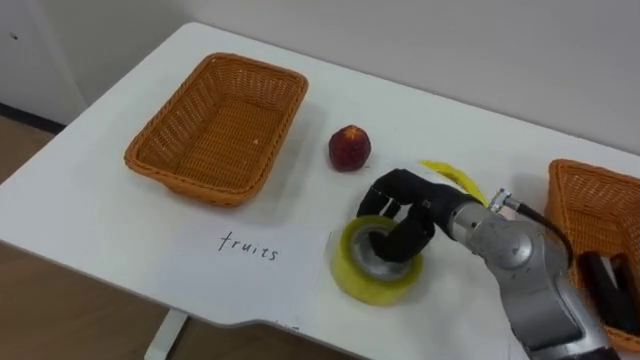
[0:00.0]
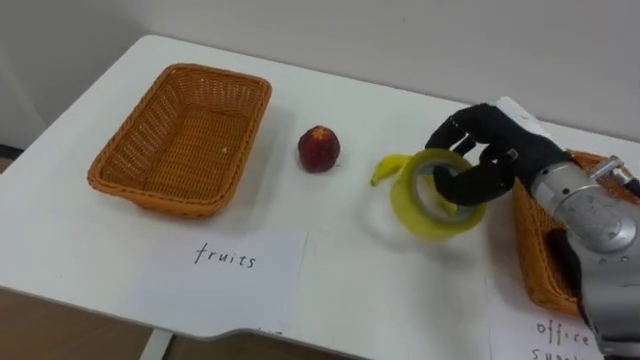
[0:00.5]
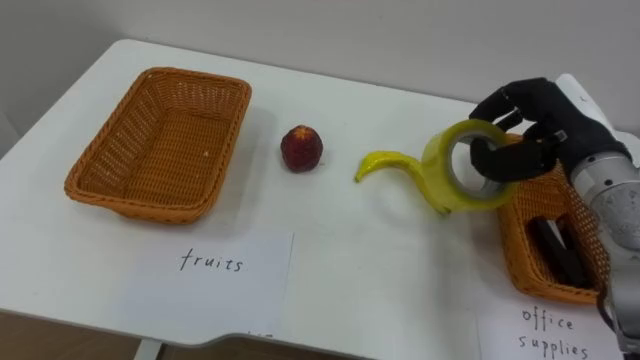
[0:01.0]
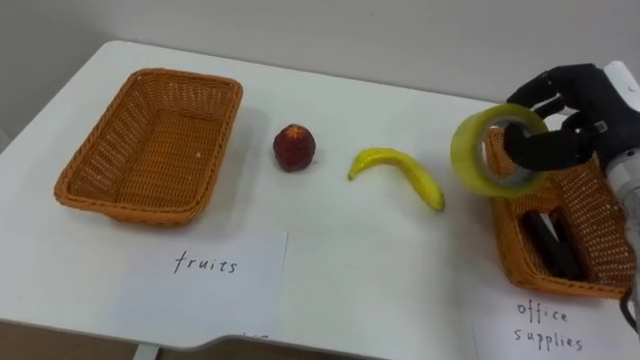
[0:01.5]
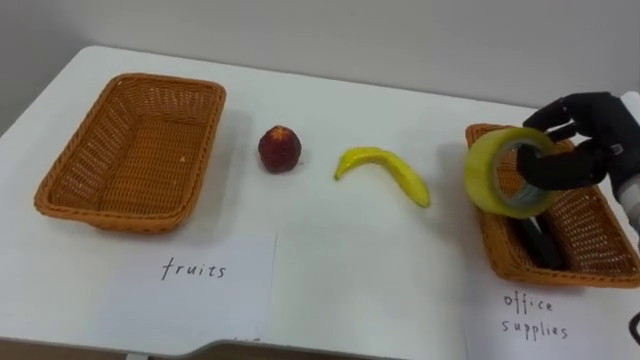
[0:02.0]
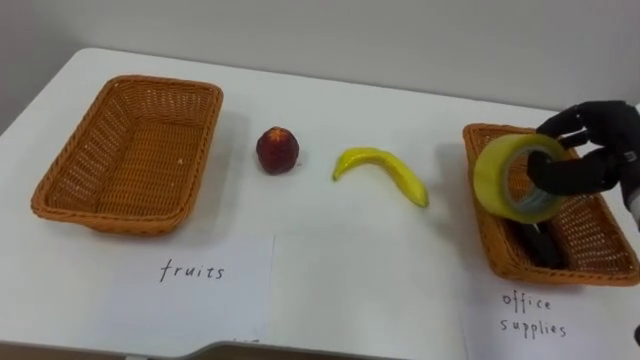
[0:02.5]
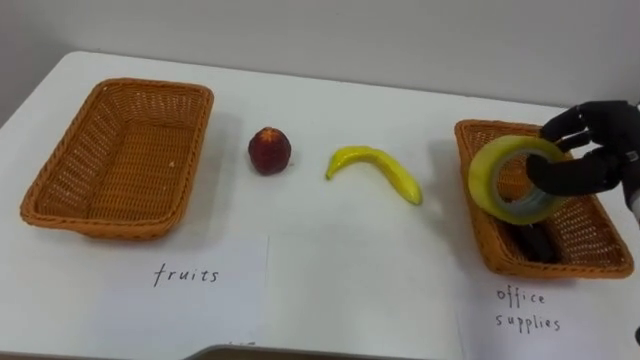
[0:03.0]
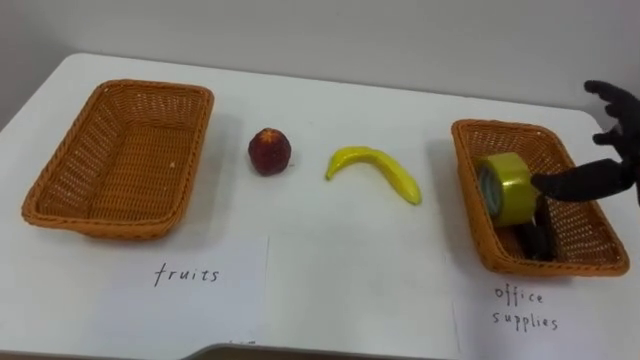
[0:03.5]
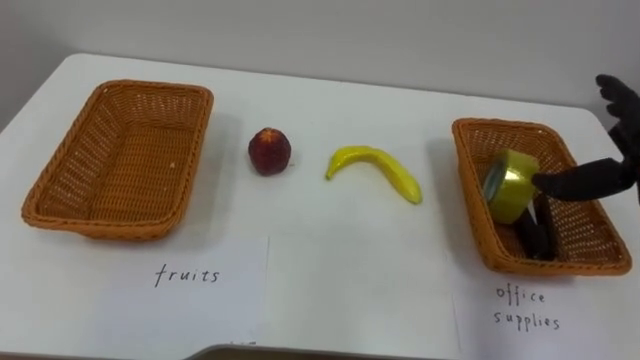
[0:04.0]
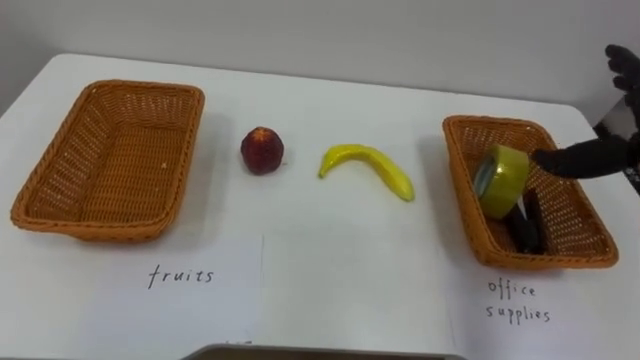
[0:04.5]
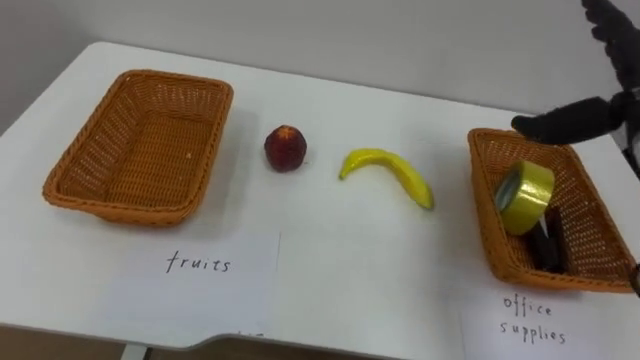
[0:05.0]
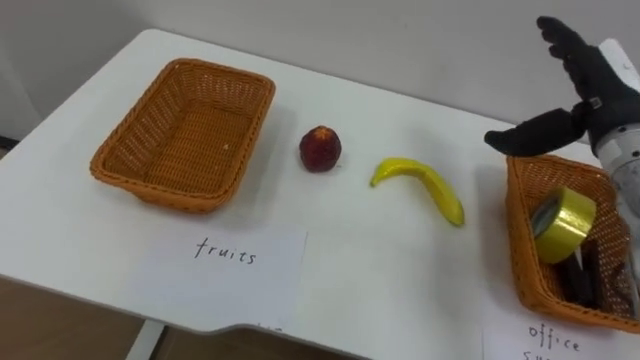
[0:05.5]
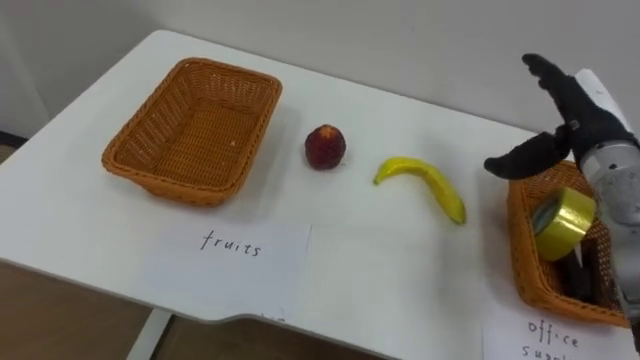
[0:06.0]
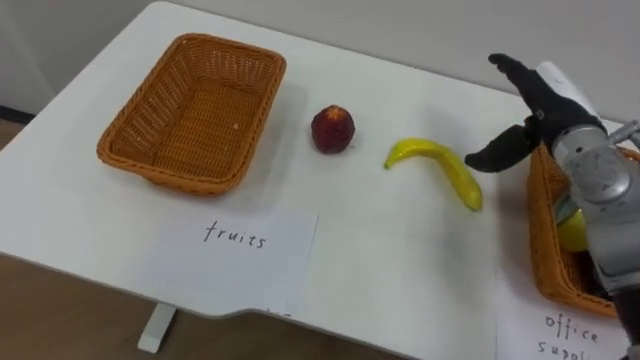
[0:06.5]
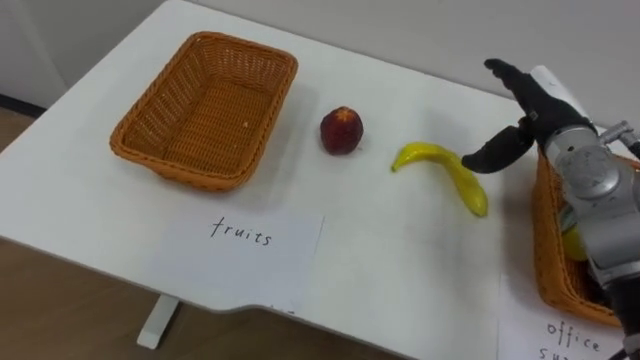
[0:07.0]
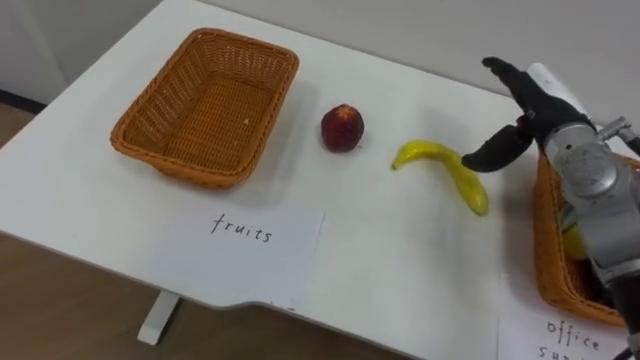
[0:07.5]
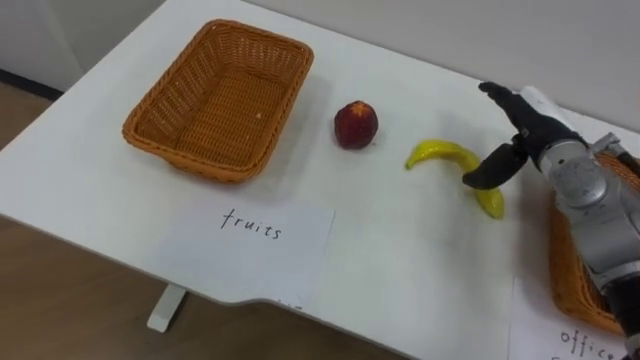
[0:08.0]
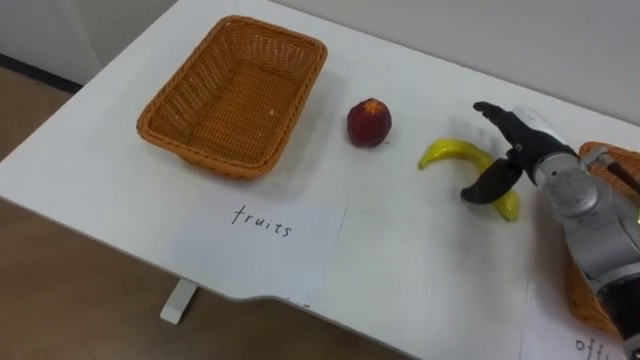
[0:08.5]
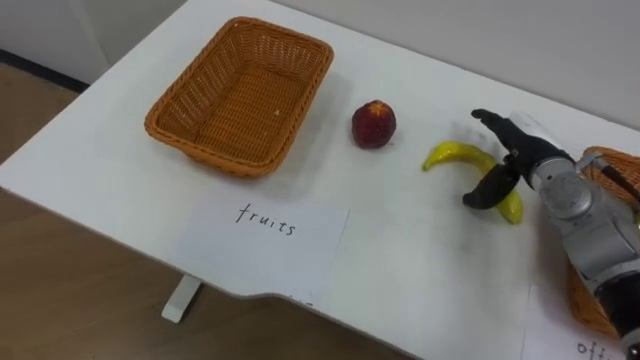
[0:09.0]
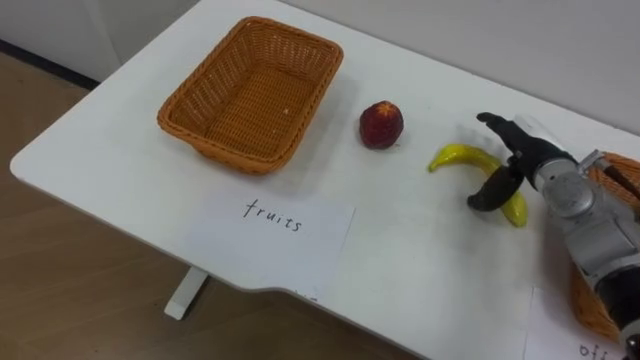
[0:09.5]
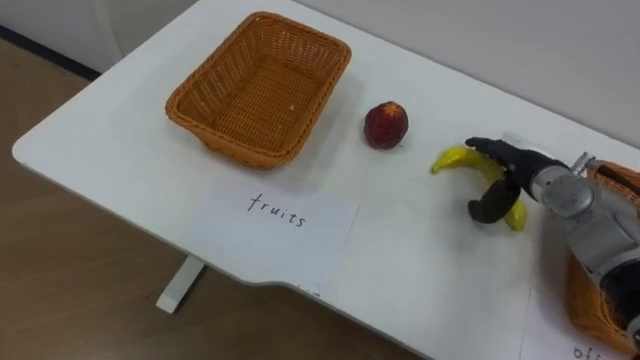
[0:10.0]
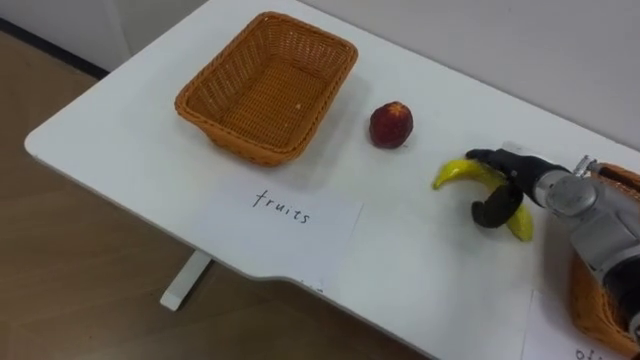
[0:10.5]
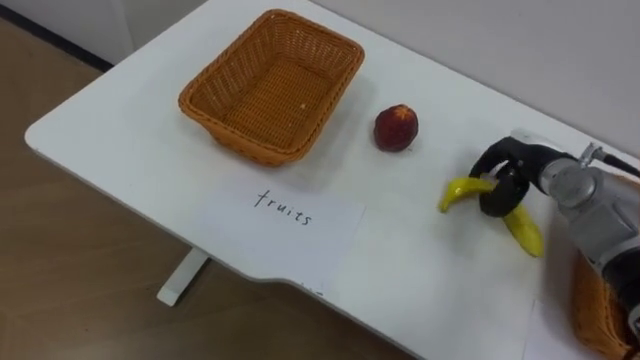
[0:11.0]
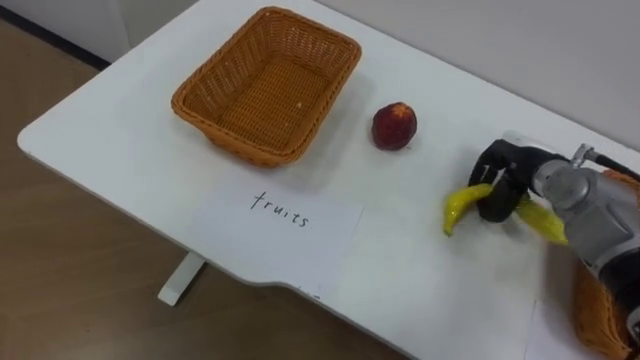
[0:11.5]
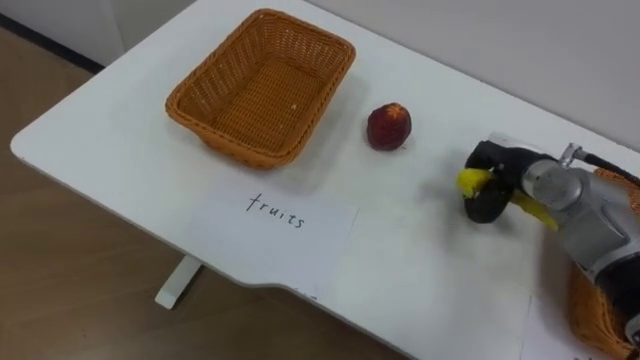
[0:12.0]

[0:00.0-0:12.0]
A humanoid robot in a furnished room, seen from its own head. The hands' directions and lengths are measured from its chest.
Task of the whole recording: Separate the items on the table and place them into the two baskets.
0:00.0 to 0:02.0: The right hand goes roughly 20 cm to the right and upward.
0:06.0 to 0:08.0: The right hand shifts by some 5 cm.
0:08.0 to 0:10.0: The right hand goes approximately 5 cm downward.
0:10.0 to 0:12.0: The right hand closes up.

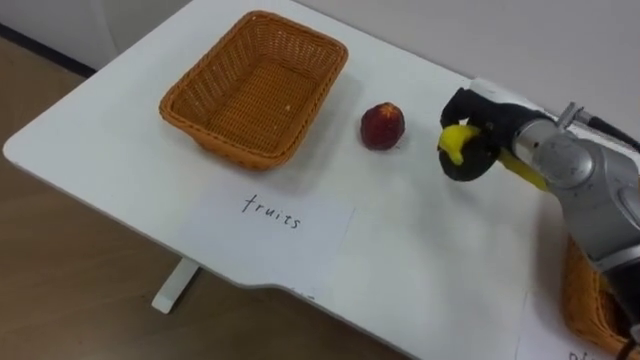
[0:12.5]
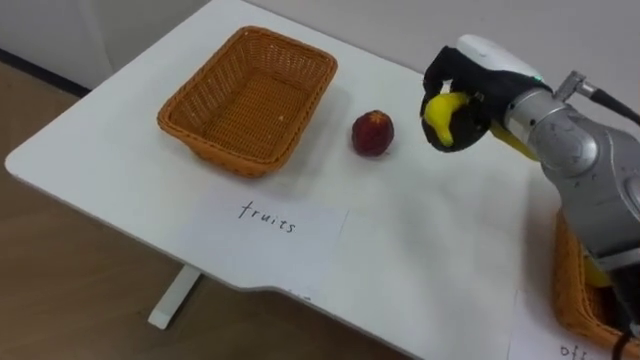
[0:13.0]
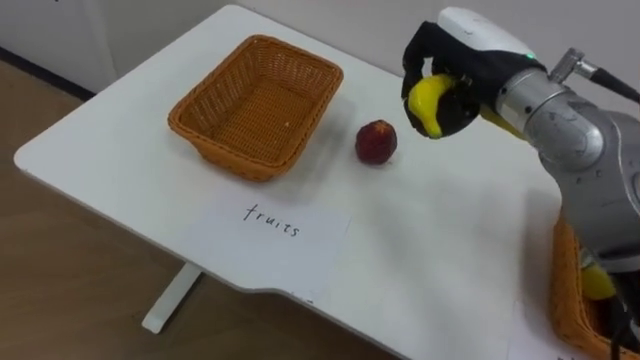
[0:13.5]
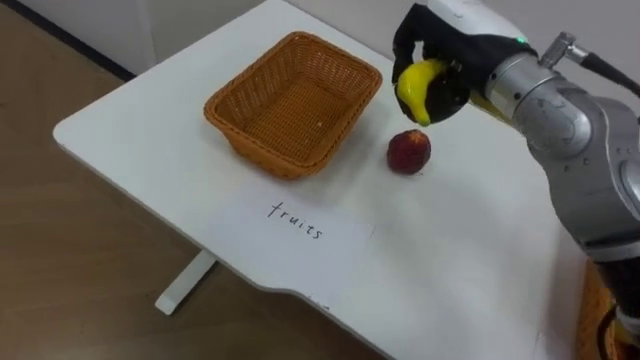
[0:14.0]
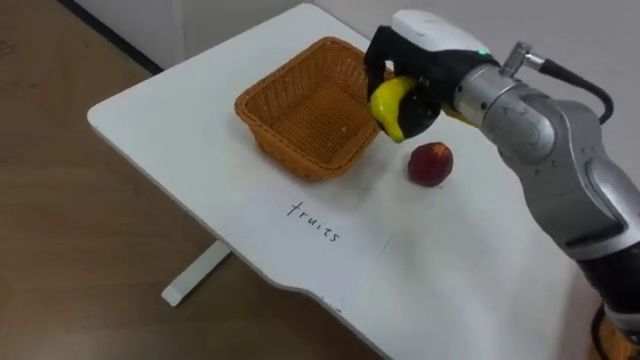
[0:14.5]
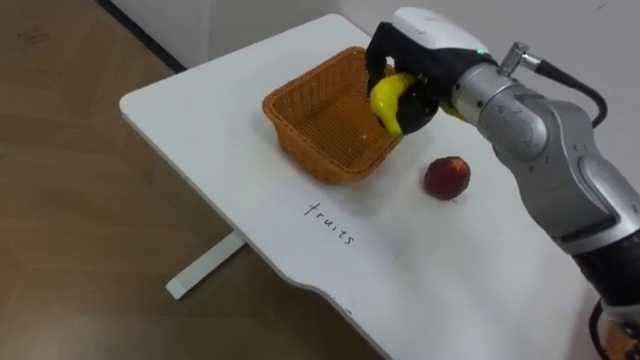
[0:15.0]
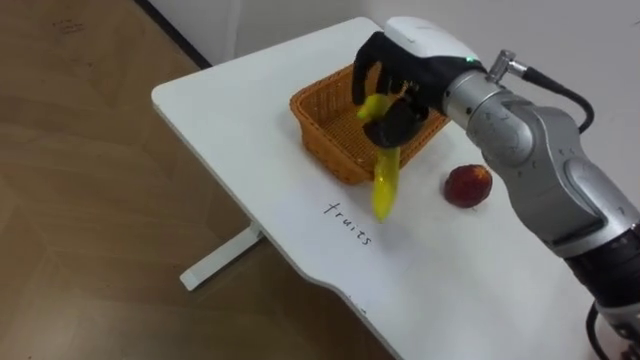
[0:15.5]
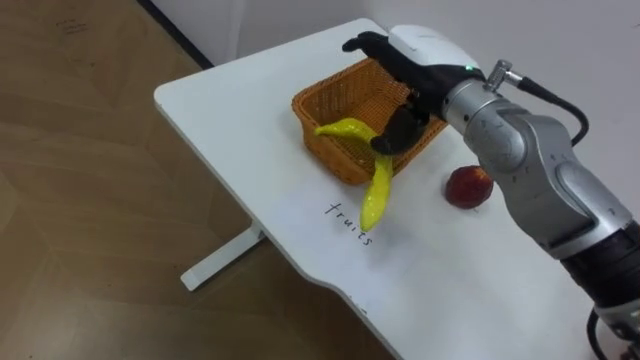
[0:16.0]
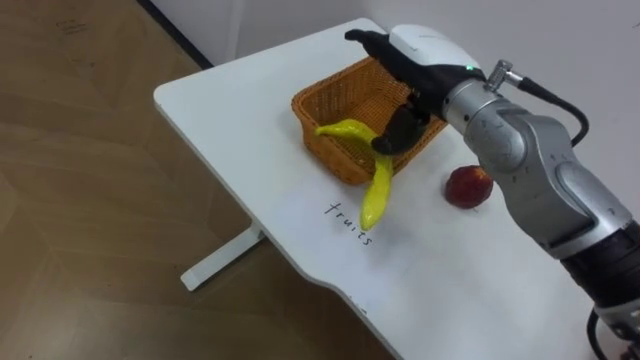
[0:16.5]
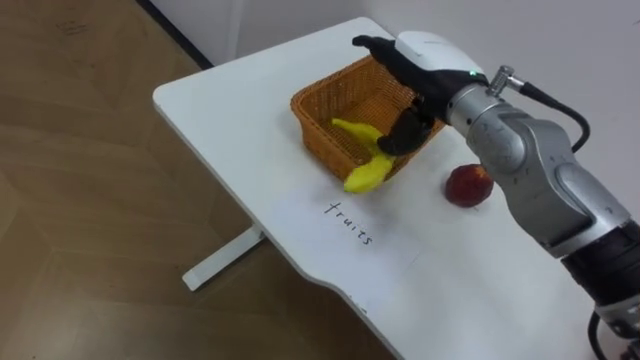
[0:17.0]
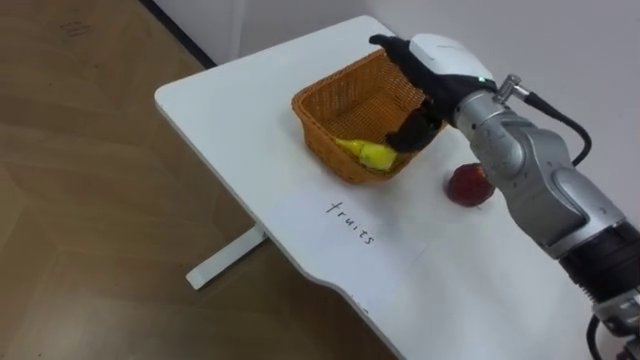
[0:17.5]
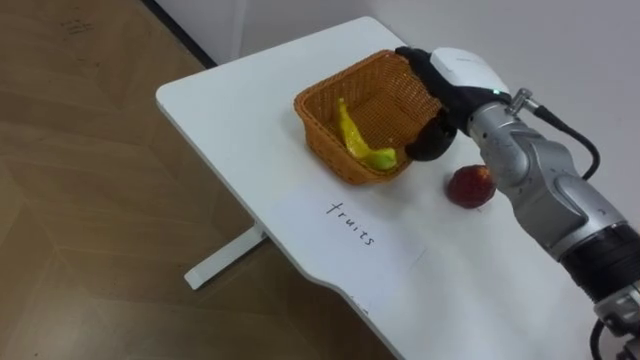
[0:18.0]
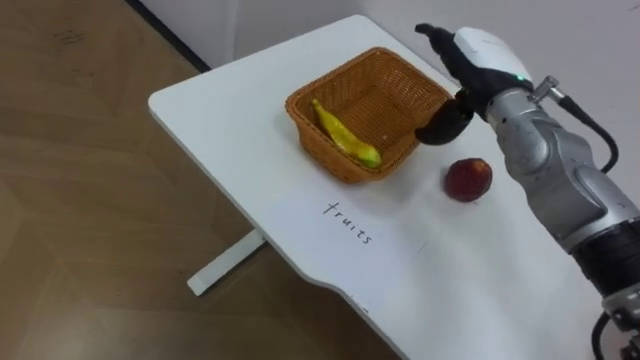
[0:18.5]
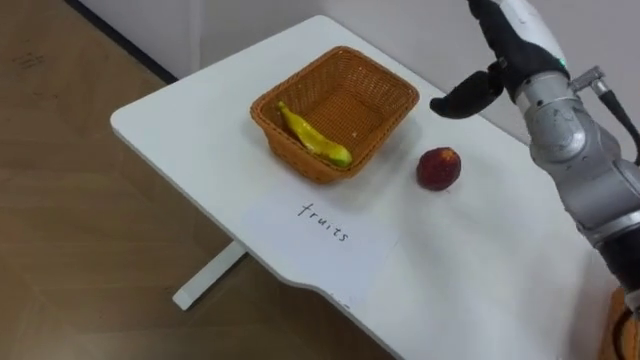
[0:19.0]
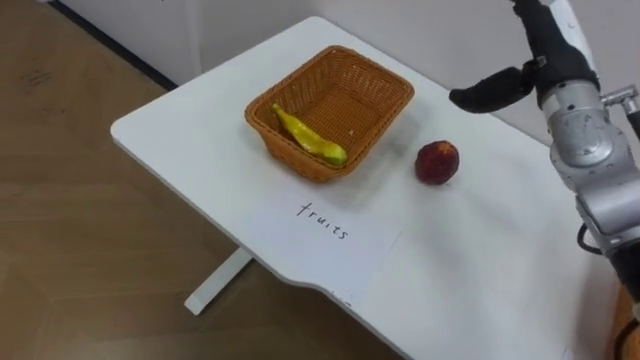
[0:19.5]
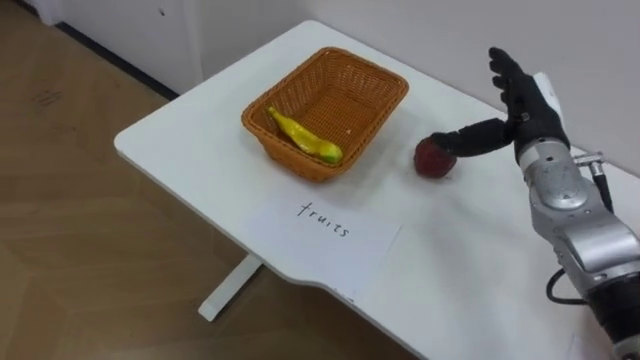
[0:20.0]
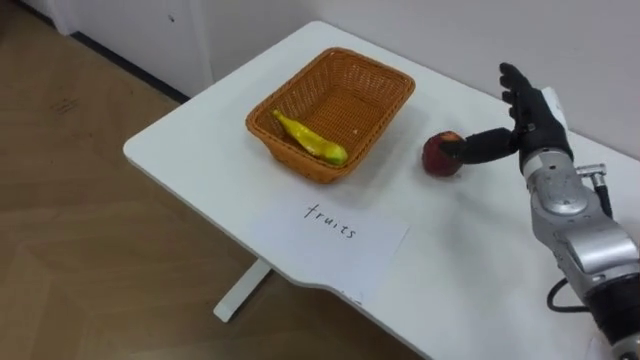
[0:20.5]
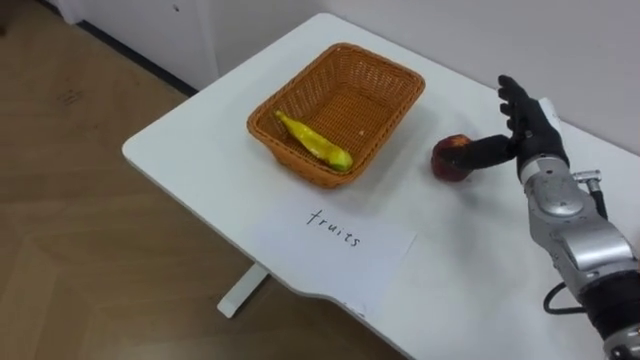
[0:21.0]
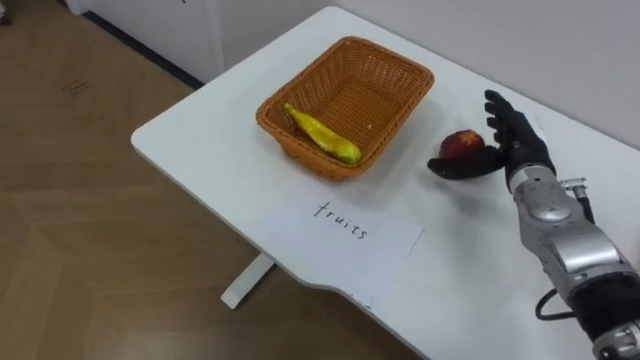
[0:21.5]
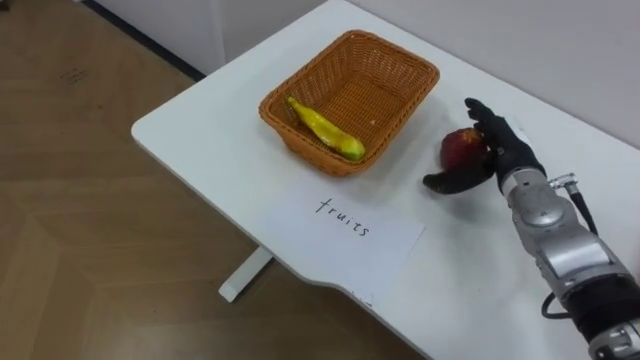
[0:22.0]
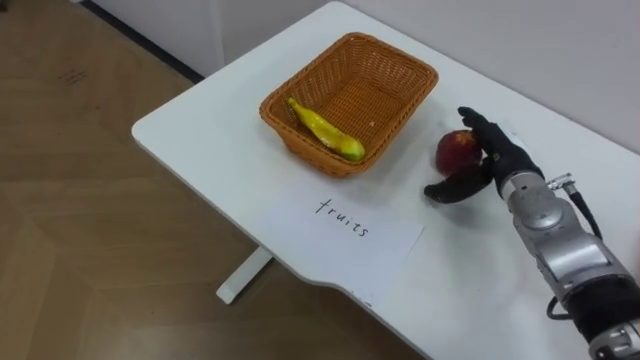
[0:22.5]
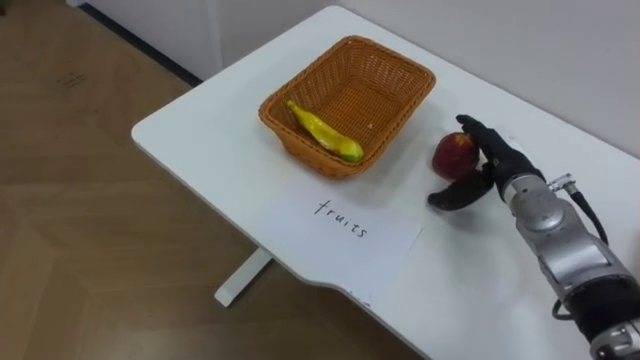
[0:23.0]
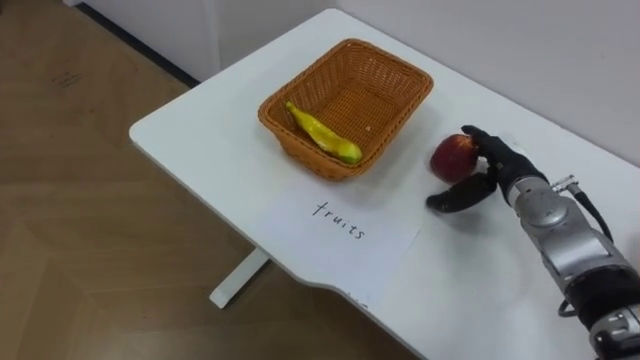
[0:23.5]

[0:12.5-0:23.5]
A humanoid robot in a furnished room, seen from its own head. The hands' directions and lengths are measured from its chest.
Task of the whole recording: Separate the items on the table and place them into the two baskets.
0:12.5 to 0:14.5: The right hand moves to the left and upward, about 15 cm.
0:14.5 to 0:16.0: The right hand opens its fingers.
0:16.0 to 0:18.0: The right hand travels to the right by roughly 5 cm.
0:18.0 to 0:20.0: The right hand moves to the right, approximately 10 cm.
0:20.0 to 0:21.5: The right hand is displaced downward by about 5 cm.
